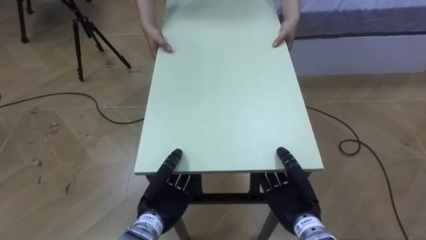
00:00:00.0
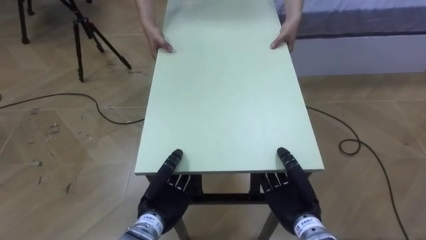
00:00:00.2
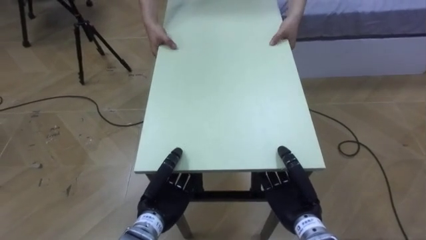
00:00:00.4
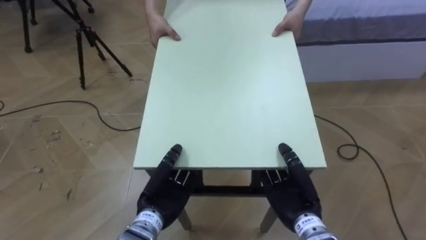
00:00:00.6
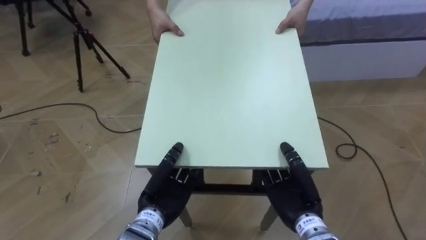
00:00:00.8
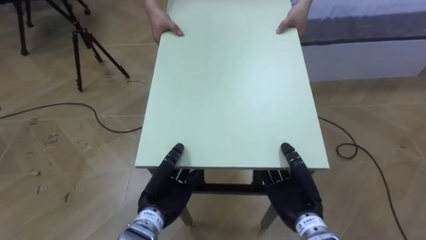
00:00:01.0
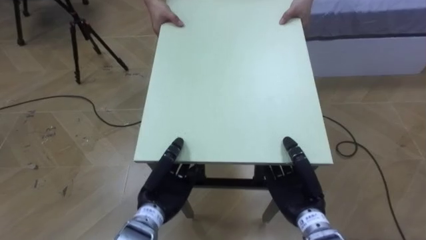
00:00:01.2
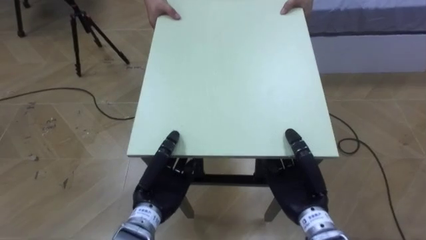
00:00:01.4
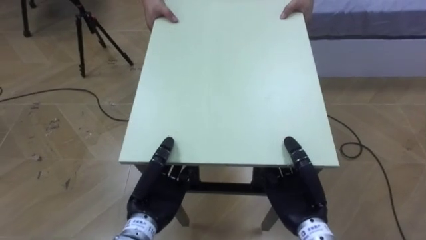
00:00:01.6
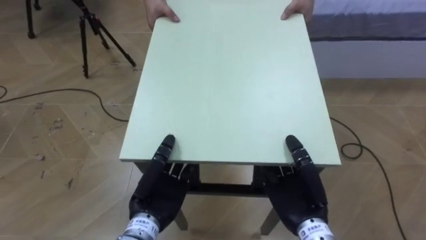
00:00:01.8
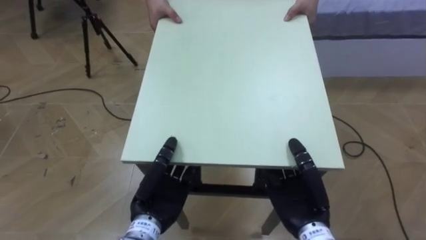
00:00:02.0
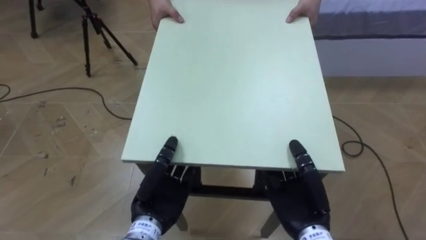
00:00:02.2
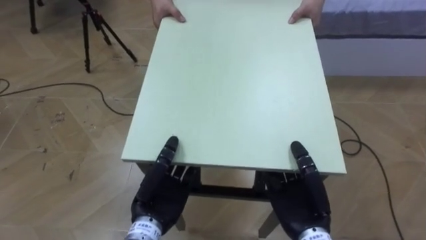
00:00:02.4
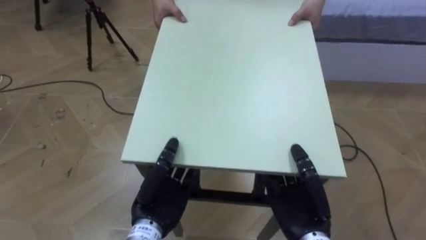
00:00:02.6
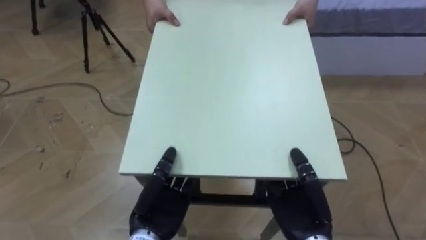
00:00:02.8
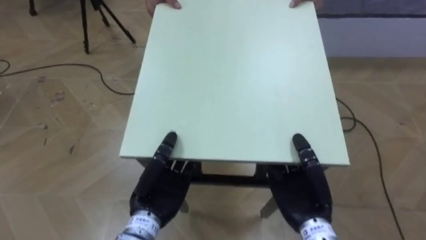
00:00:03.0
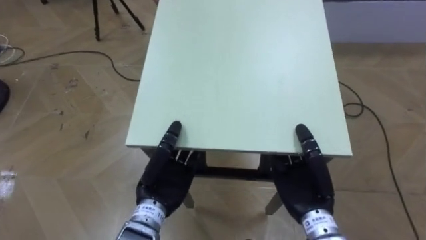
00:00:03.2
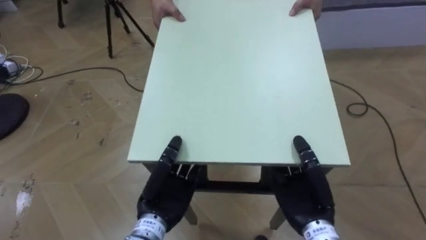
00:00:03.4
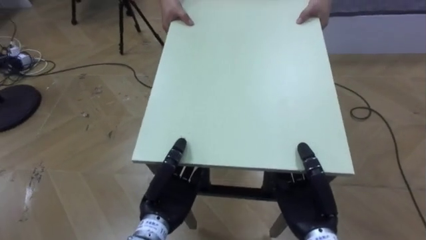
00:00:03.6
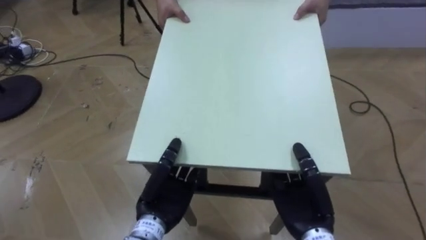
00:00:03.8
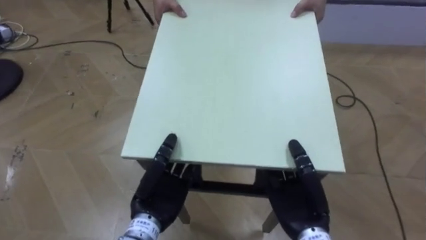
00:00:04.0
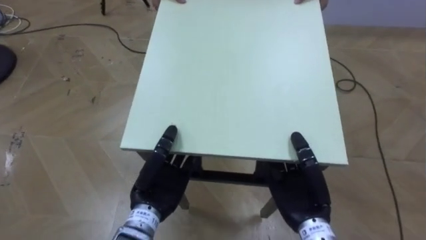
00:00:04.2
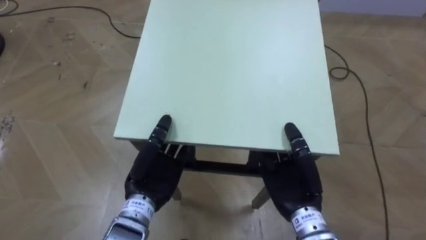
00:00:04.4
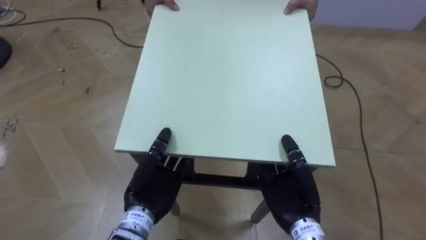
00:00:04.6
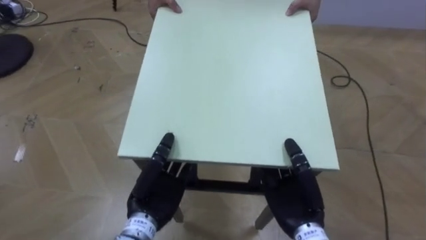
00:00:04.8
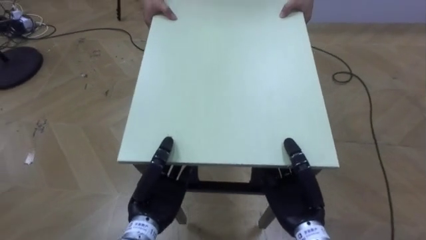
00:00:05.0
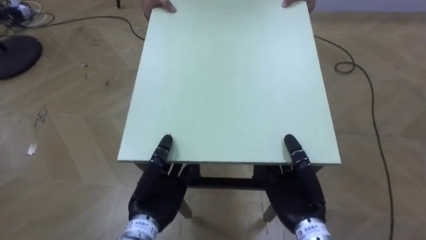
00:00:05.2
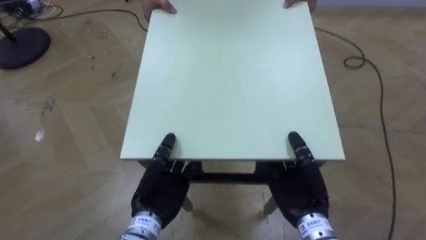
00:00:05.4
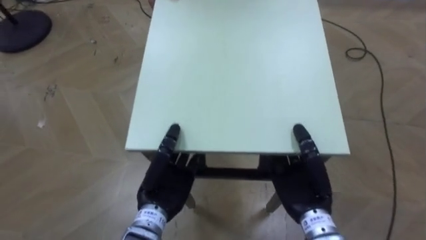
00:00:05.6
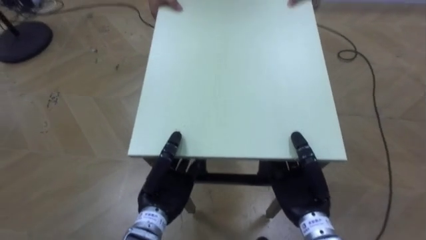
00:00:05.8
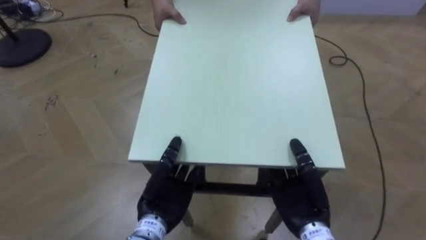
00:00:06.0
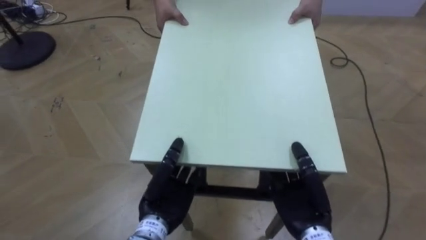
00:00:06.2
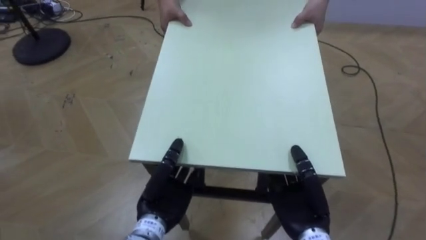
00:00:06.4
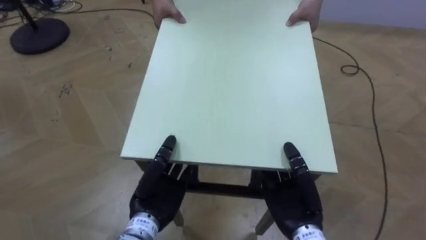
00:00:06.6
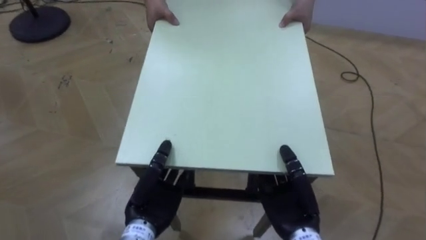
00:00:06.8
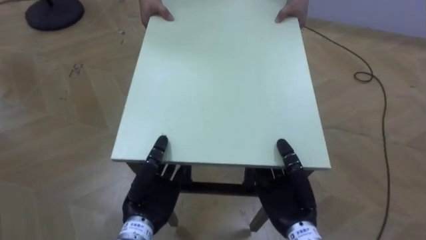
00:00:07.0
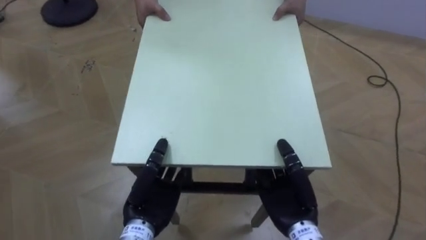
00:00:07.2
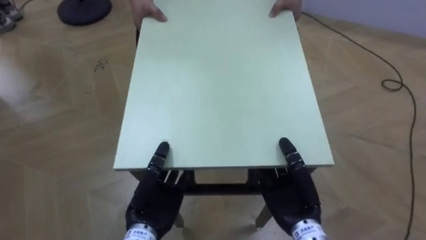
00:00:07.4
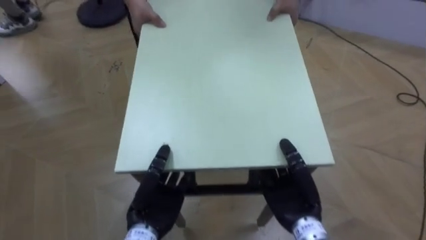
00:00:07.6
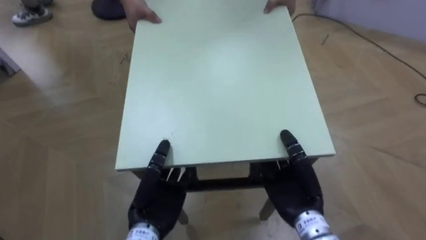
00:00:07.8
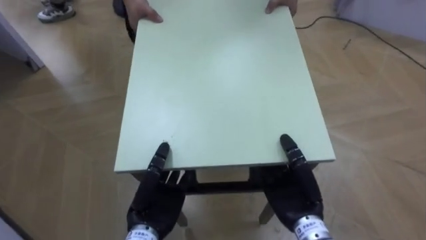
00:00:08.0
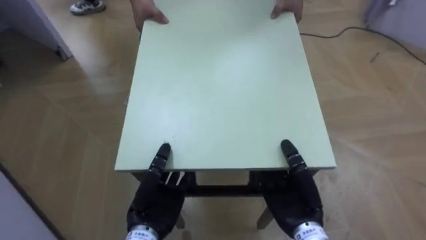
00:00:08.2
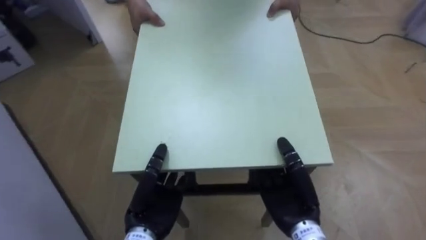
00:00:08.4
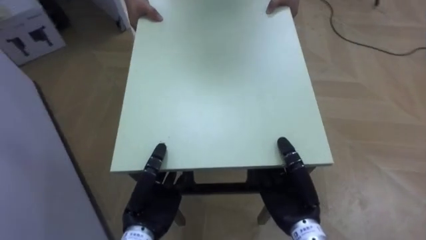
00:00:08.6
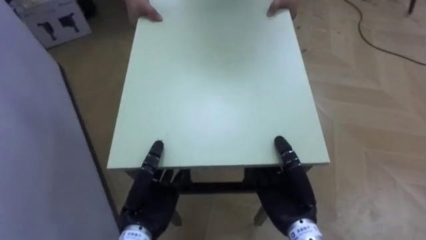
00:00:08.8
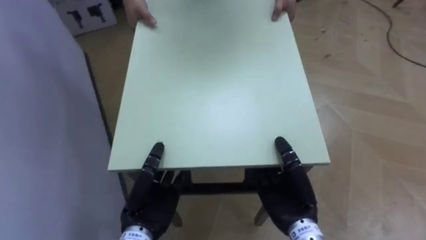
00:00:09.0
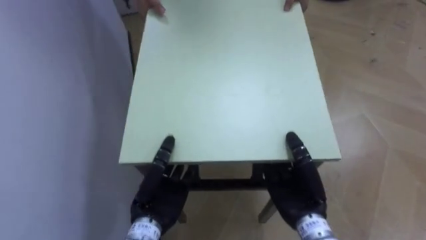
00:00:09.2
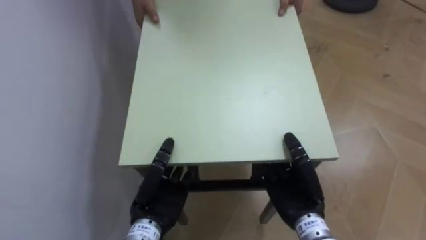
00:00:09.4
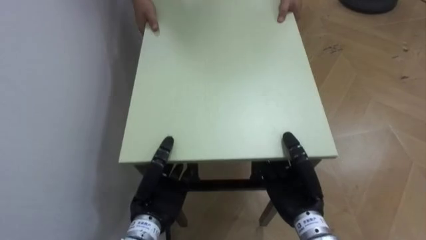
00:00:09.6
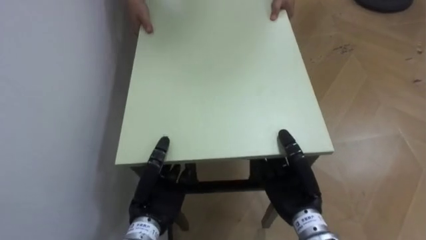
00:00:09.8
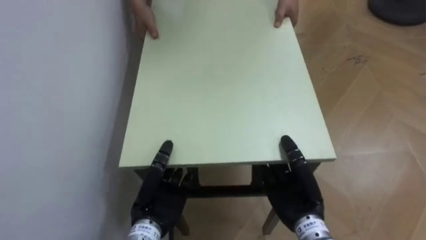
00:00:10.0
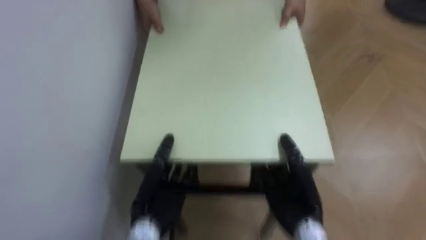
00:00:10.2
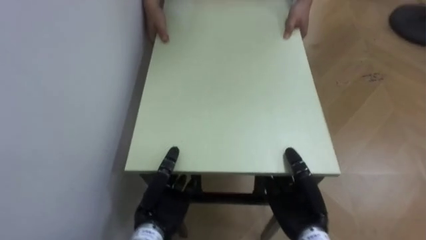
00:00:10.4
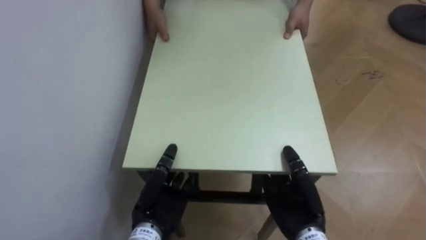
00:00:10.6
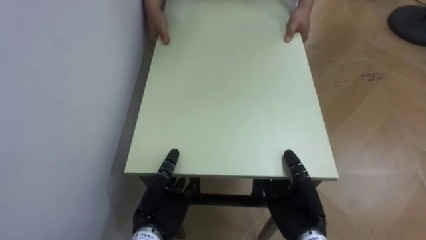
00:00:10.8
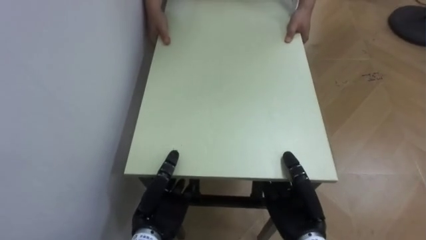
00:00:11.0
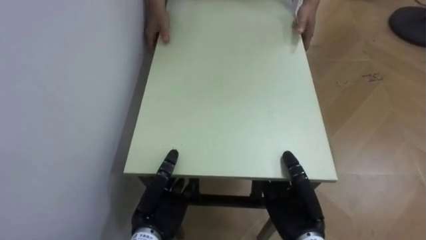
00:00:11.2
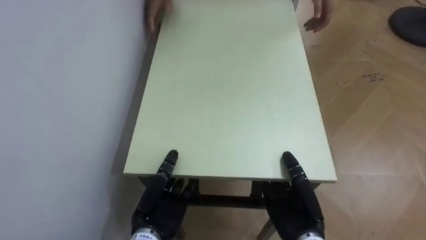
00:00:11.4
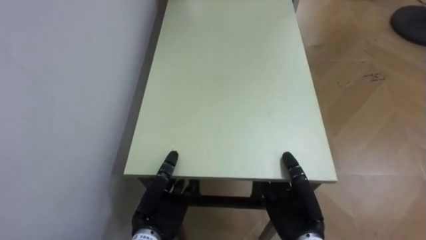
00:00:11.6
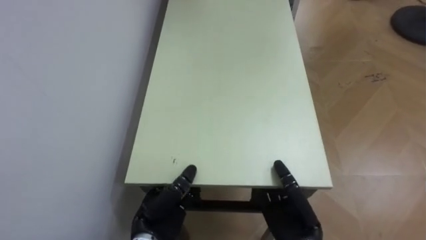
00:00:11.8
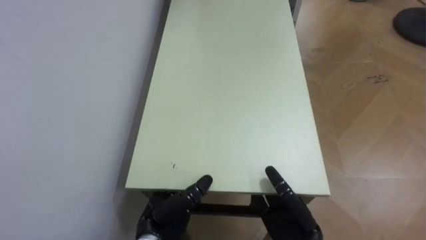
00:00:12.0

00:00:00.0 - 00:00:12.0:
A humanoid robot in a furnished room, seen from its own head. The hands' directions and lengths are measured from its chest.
Task of the whole recording: Move the table to the back left with someone.
00:00:00.0 - 00:00:01.6: Both hands move upward, approximately 5 cm.
00:00:07.6 - 00:00:09.0: The robot turns to its left by about 40 degrees.
00:00:09.0 - 00:00:10.4: The robot turns to its left by roughly 35 degrees.
00:00:10.4 - 00:00:12.0: The left hand opens.

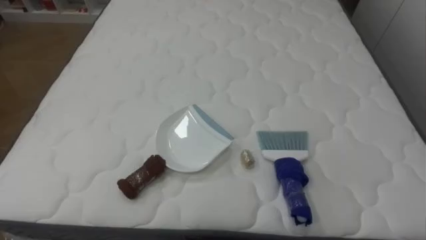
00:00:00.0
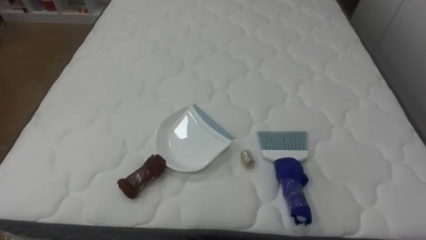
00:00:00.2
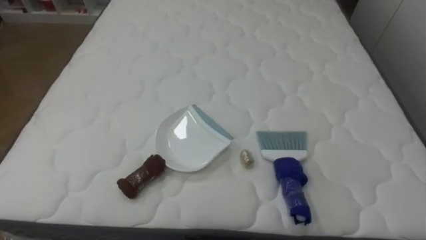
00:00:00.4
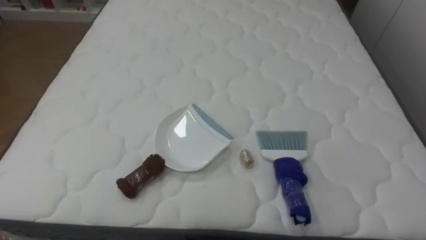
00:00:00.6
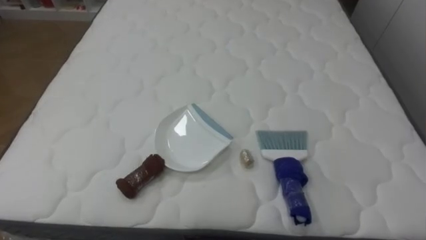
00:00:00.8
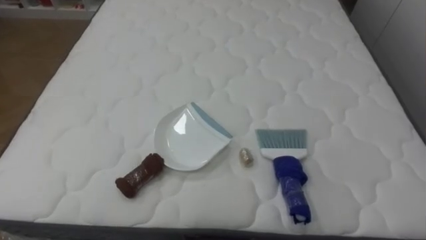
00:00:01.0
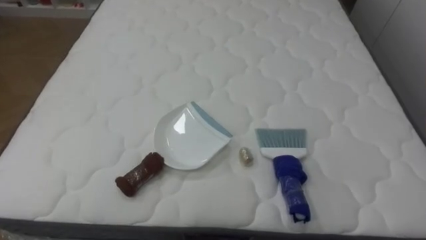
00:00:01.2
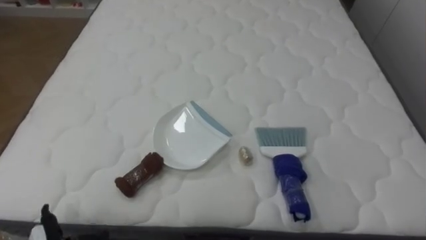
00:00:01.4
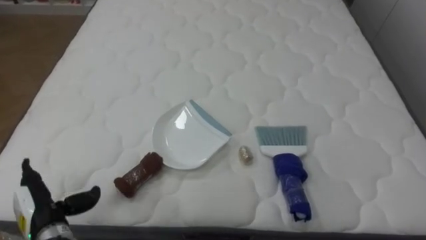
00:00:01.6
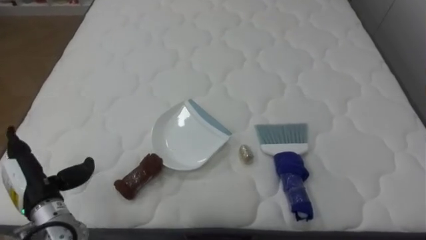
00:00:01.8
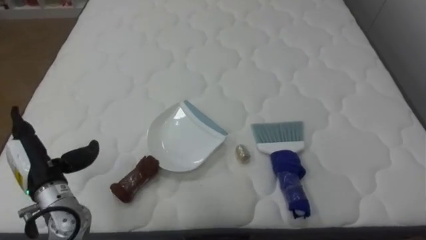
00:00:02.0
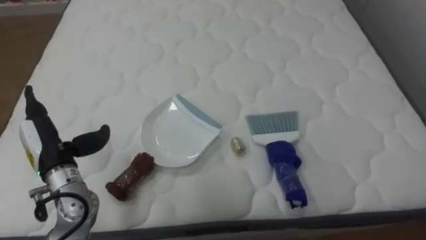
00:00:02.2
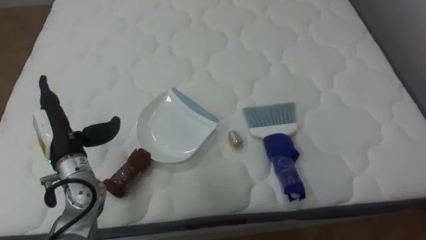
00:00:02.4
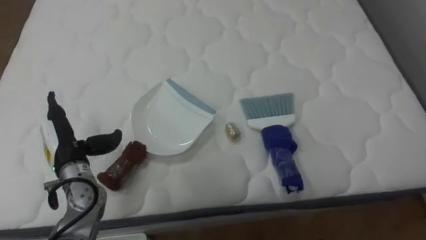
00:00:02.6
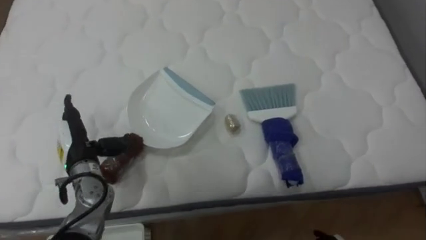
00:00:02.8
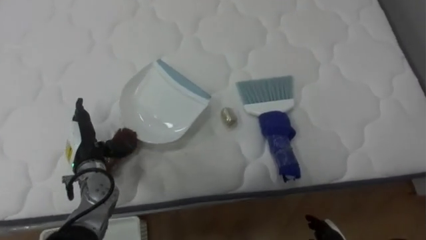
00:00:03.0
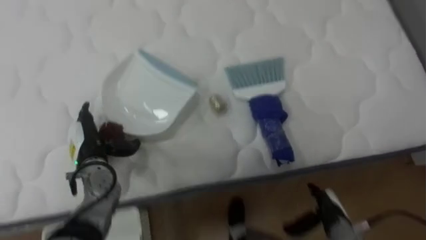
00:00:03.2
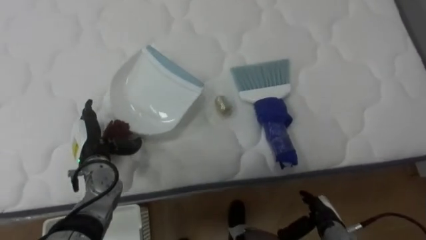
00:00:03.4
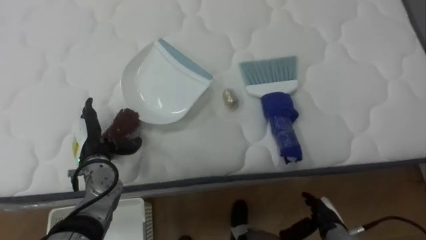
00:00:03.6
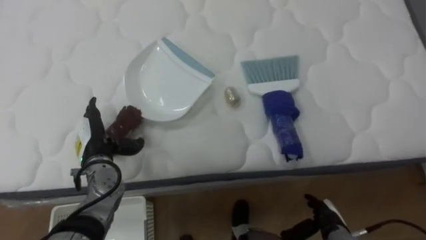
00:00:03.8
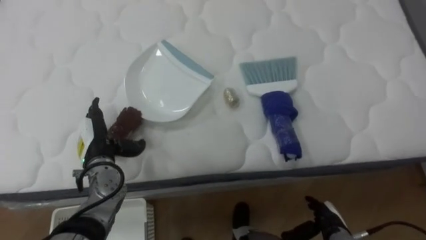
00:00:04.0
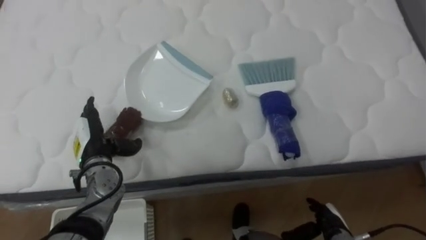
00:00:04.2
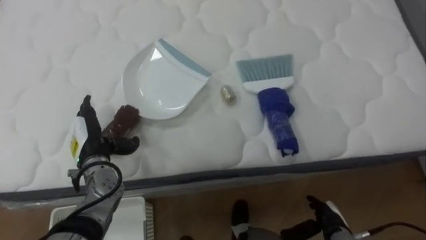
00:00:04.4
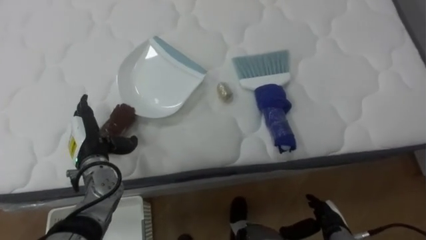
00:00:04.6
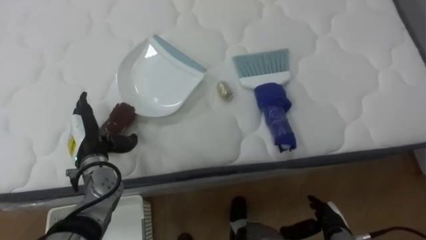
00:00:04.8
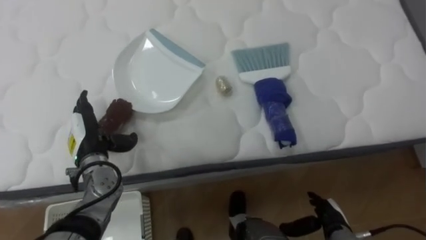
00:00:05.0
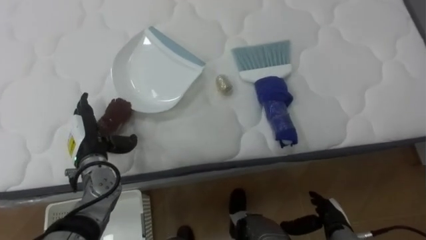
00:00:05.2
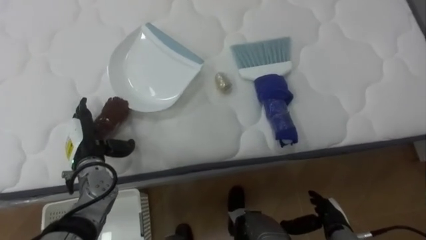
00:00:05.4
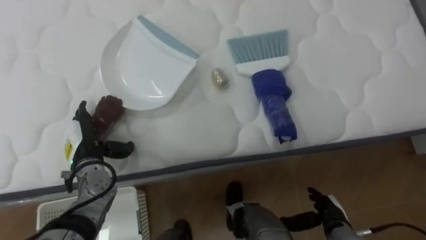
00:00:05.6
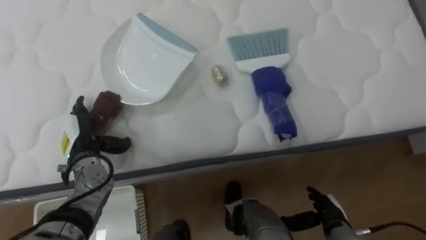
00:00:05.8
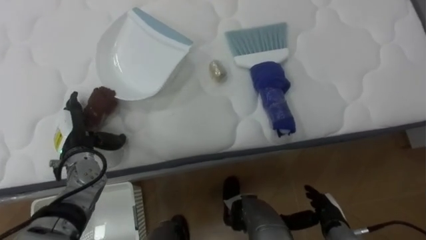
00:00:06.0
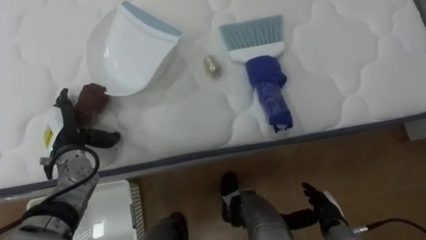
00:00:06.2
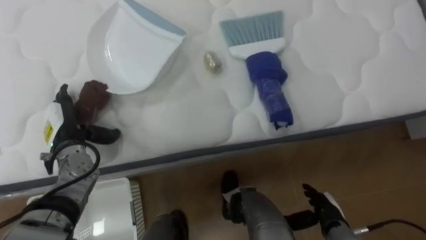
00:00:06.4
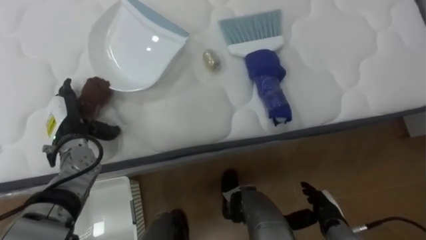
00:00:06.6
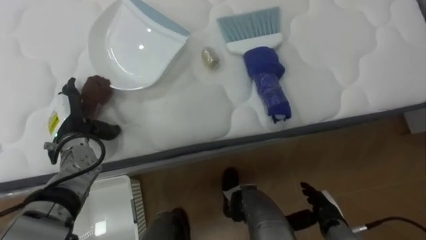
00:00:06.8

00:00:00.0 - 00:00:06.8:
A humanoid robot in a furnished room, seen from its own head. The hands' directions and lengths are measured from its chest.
Task of the whole recording: Pick up the brush on your right and the dustpan on your left. Use the brush to sweep the crumpled paper on the bed into the dustpan, then turn left and empty it into the basket.
00:00:05.4 - 00:00:06.8: The left hand moves some 5 cm.
